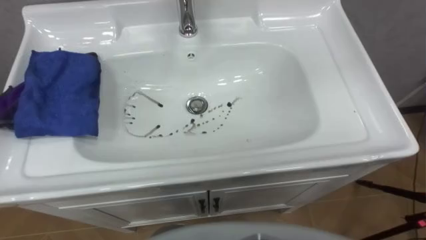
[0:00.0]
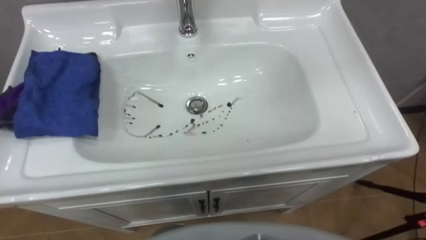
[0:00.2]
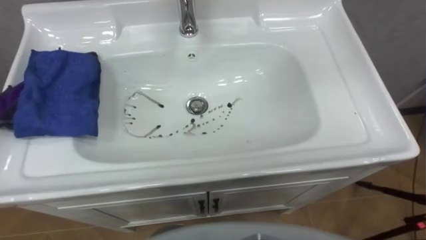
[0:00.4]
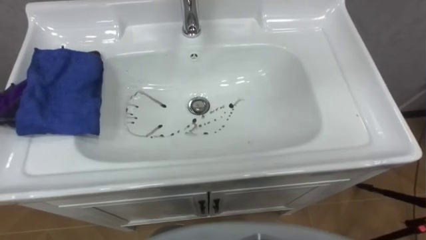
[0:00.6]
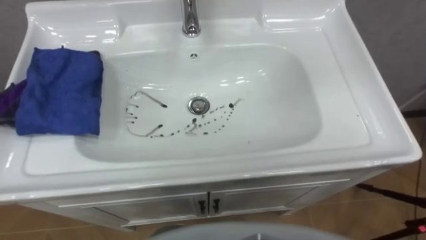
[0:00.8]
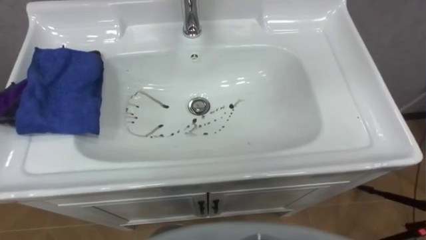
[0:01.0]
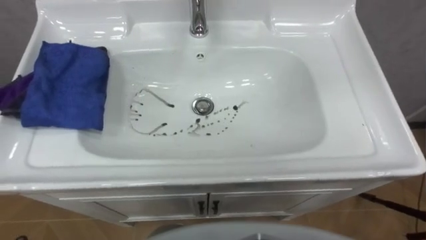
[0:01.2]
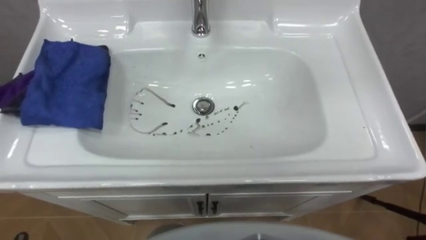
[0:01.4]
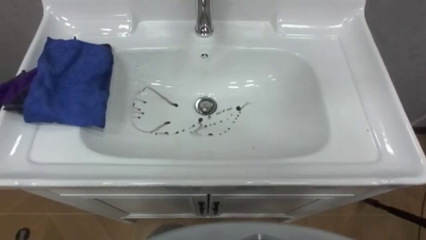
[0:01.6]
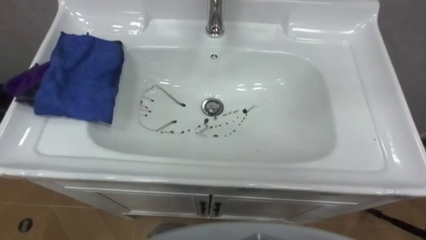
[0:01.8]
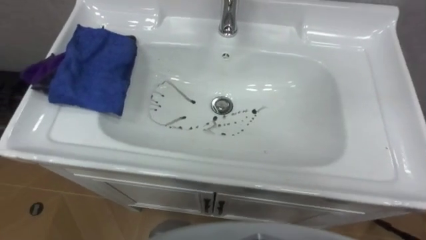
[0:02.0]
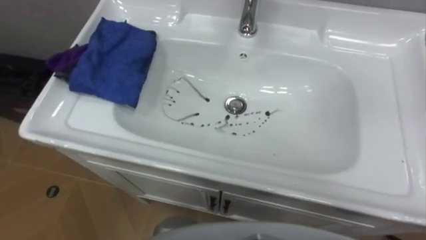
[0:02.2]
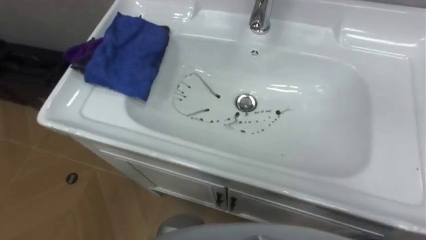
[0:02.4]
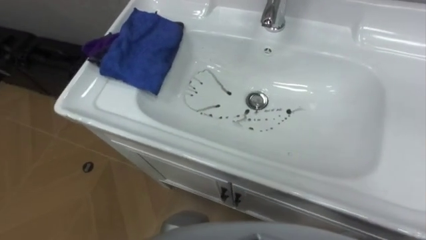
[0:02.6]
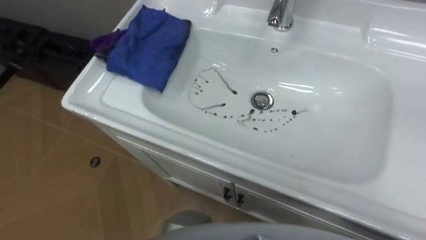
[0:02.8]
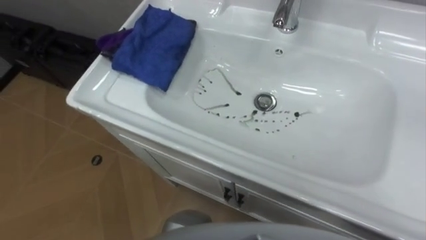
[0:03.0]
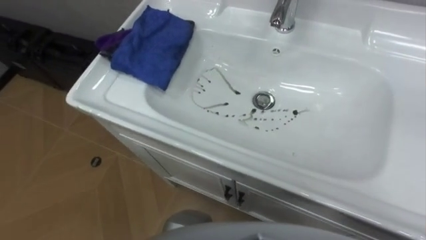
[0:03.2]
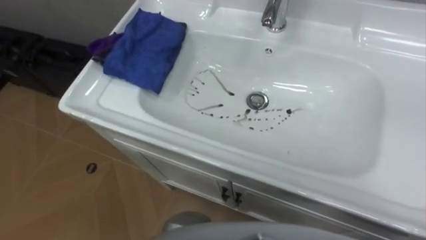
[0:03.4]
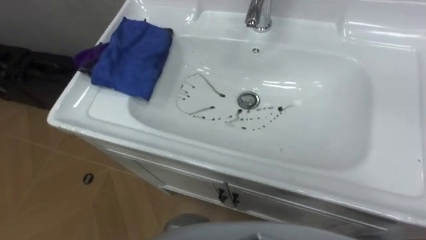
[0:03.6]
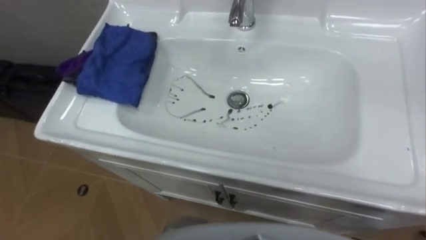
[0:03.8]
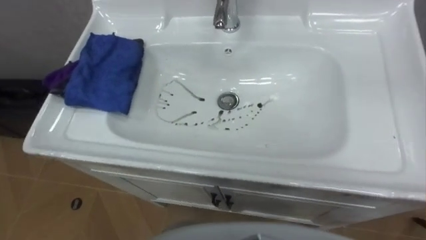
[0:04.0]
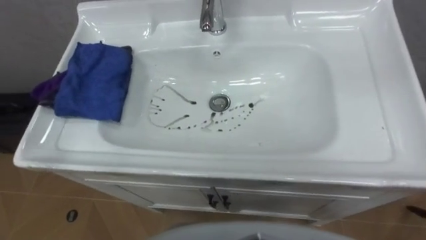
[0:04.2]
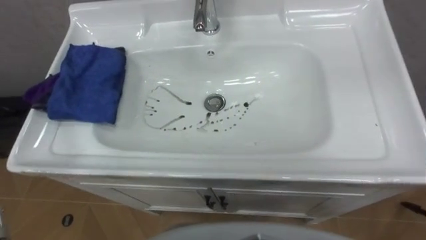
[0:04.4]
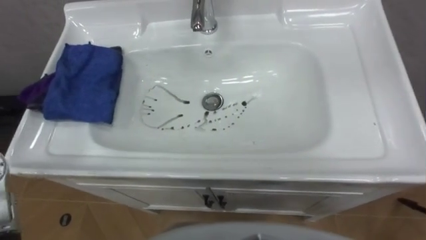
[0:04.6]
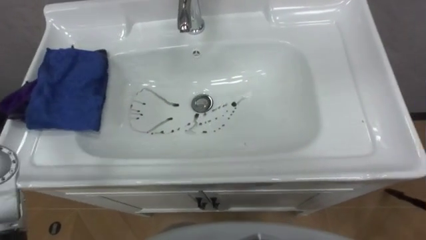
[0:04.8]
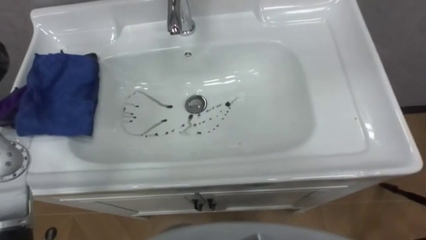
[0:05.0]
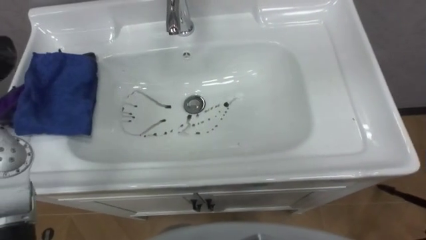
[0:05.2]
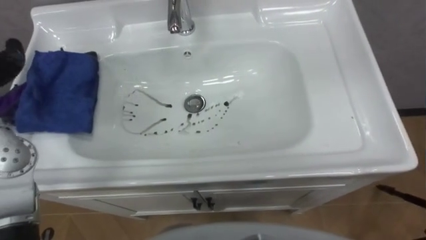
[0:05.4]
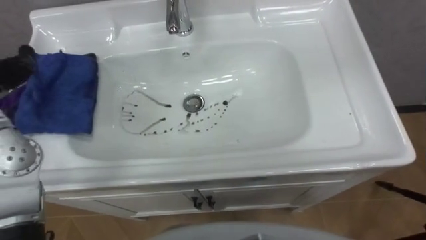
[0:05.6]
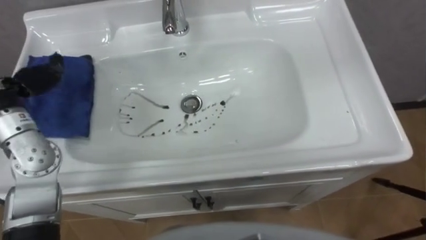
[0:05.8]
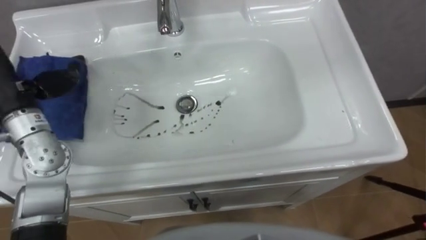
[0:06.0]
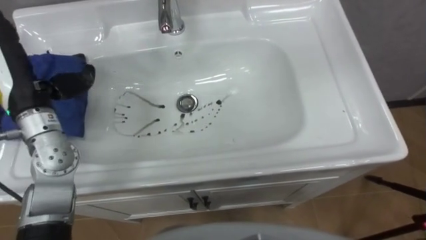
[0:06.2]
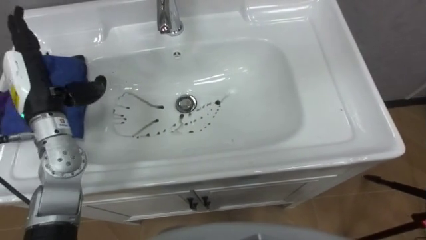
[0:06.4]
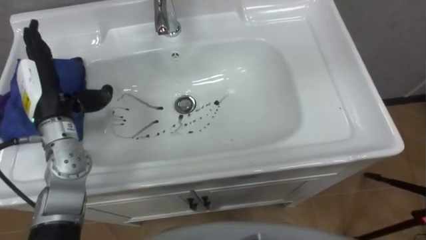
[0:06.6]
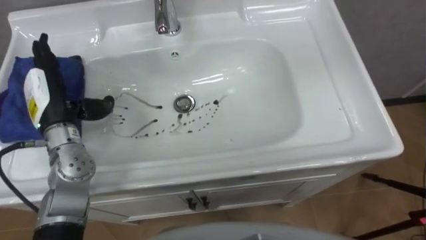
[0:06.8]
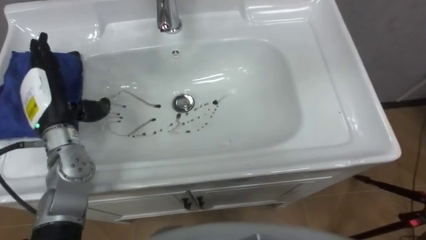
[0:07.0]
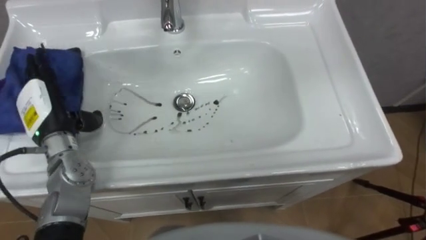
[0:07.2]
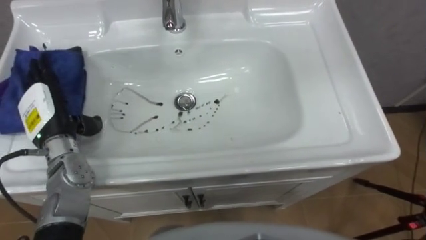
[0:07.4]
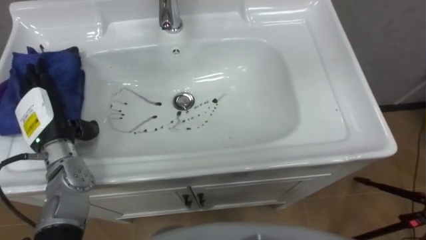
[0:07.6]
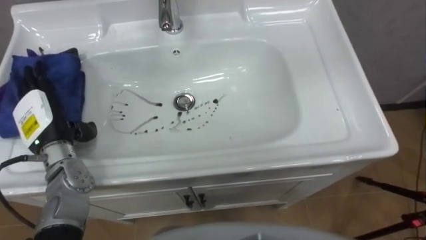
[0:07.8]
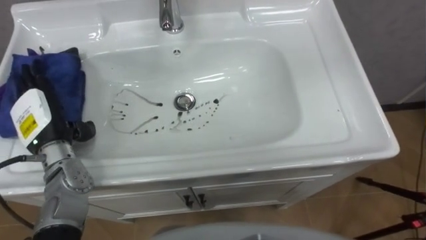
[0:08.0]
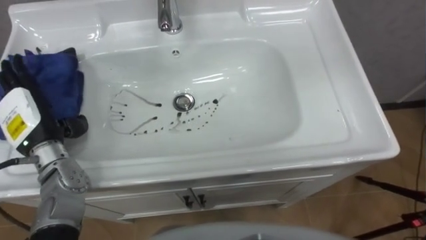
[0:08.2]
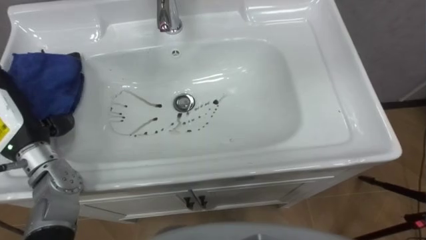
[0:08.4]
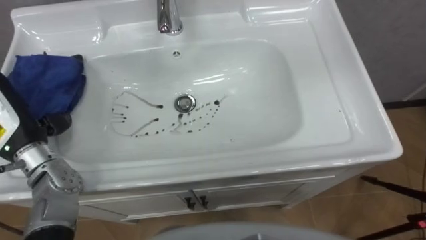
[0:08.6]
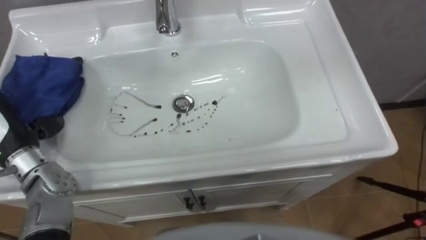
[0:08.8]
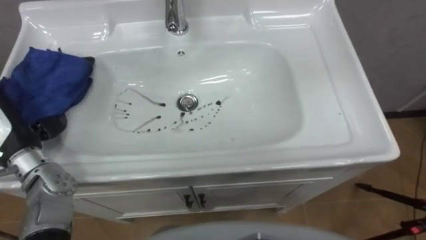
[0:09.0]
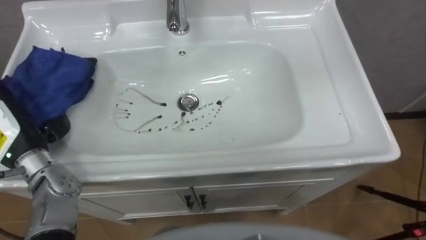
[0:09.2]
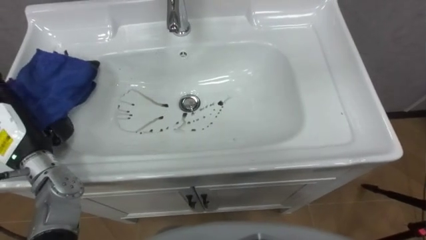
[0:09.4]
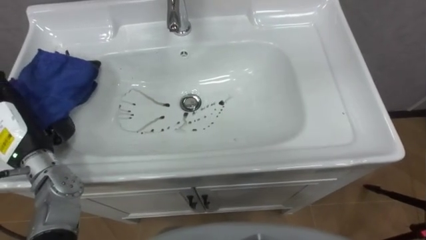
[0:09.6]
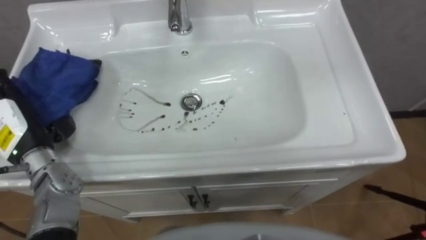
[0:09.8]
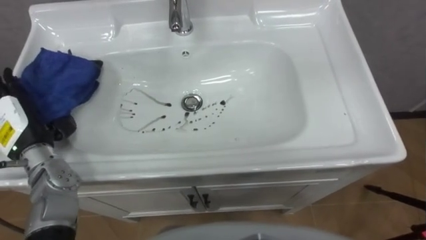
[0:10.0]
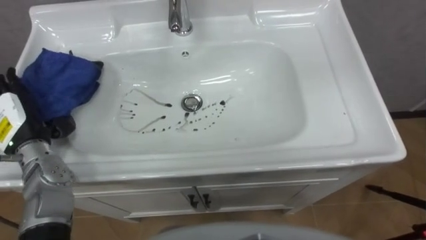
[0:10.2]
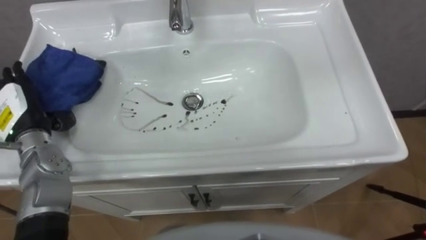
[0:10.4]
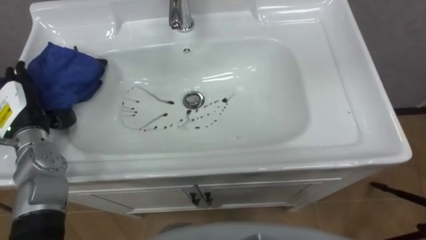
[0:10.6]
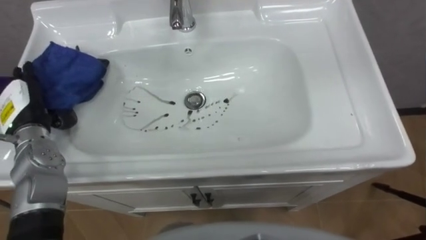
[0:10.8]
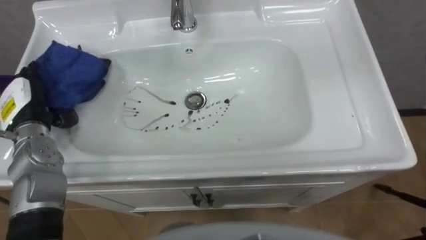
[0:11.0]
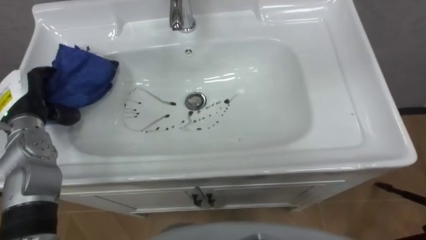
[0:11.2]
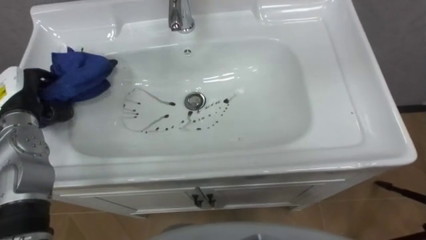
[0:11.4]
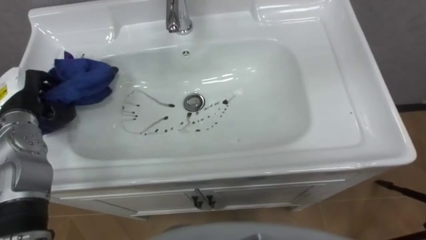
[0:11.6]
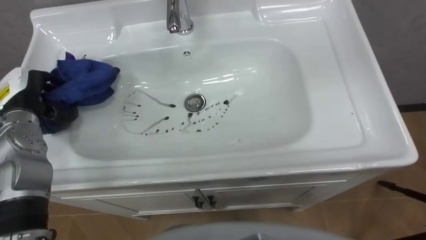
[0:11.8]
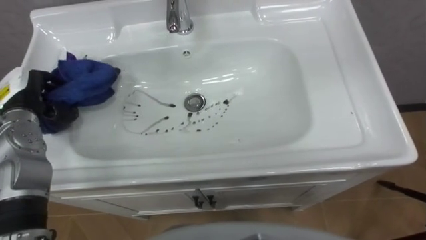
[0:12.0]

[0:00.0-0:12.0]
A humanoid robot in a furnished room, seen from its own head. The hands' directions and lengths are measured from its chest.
Task of the whole recording: Use the cloth on the right to wipe away the black stain in the sink.
0:10.4 to 0:12.0: The left hand closes up.

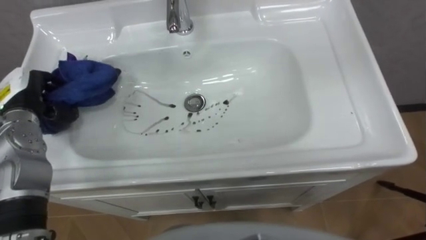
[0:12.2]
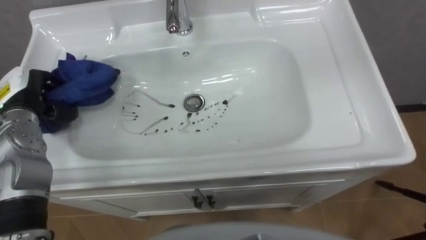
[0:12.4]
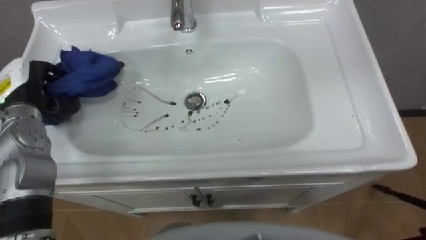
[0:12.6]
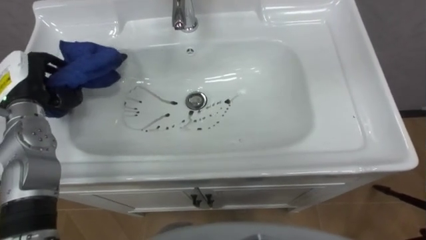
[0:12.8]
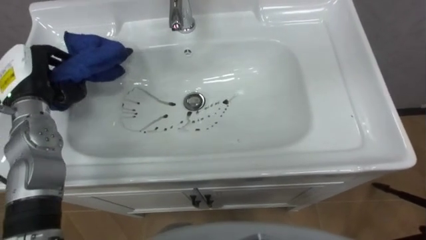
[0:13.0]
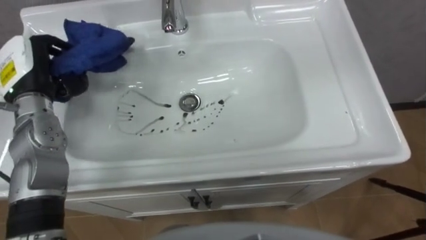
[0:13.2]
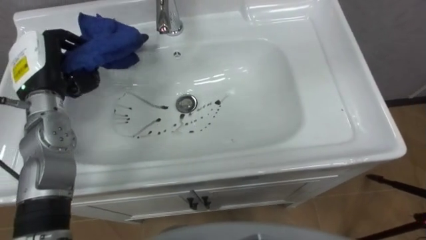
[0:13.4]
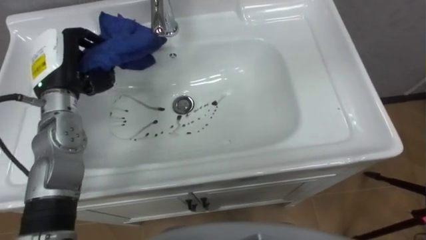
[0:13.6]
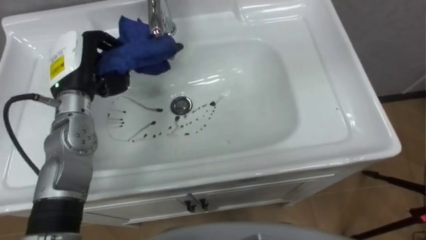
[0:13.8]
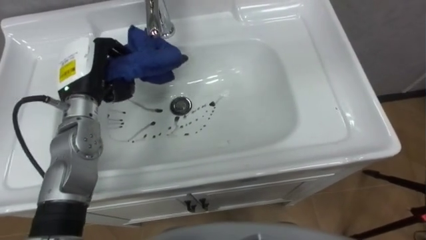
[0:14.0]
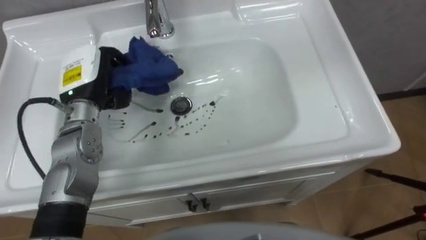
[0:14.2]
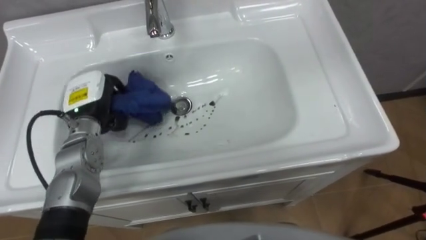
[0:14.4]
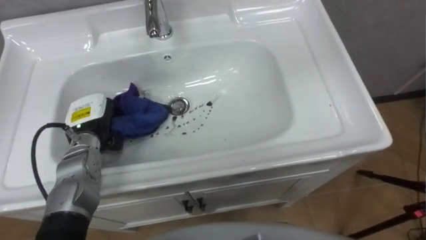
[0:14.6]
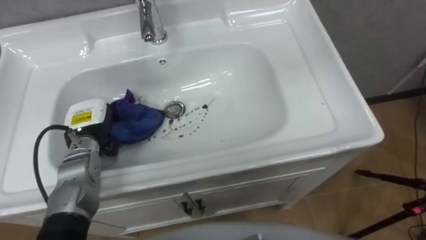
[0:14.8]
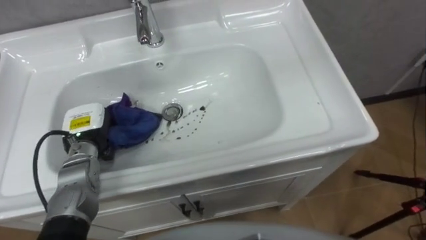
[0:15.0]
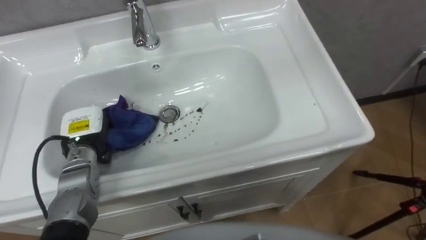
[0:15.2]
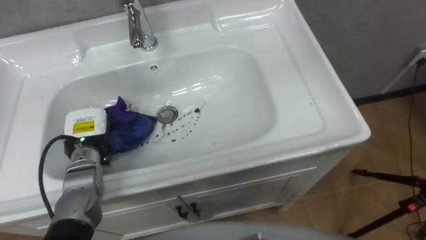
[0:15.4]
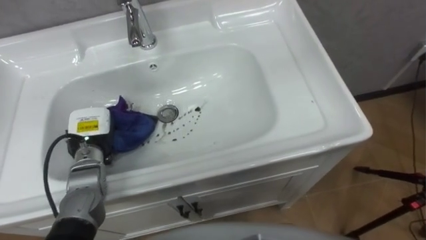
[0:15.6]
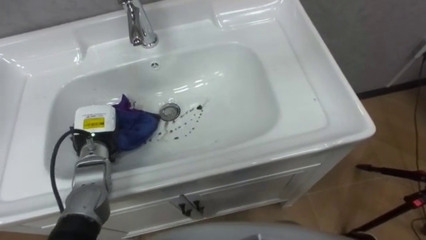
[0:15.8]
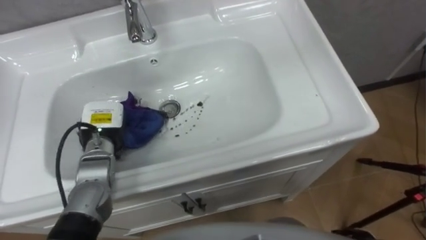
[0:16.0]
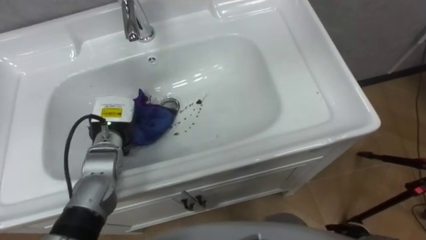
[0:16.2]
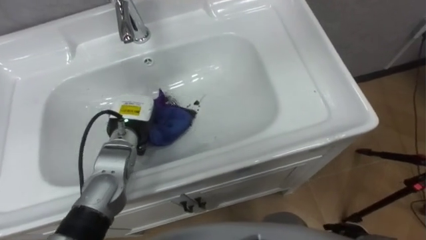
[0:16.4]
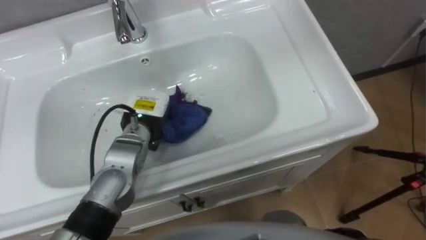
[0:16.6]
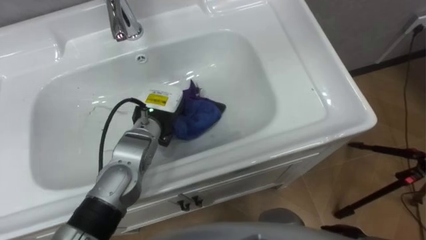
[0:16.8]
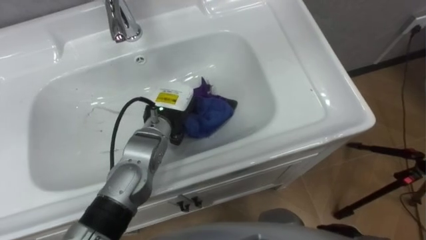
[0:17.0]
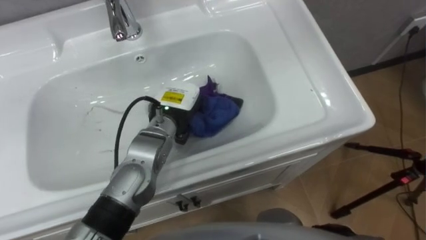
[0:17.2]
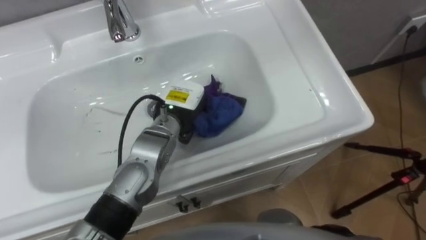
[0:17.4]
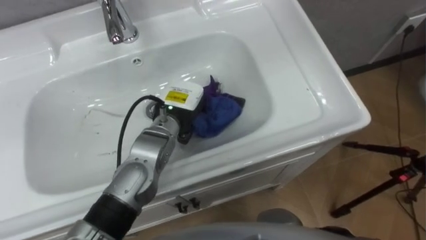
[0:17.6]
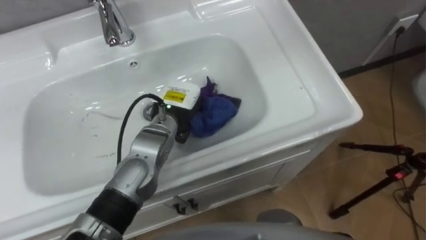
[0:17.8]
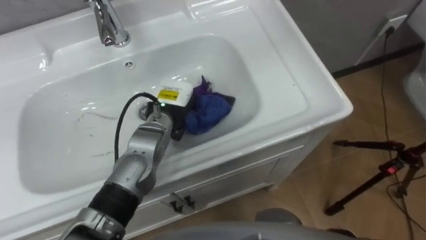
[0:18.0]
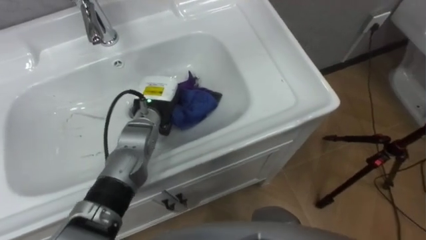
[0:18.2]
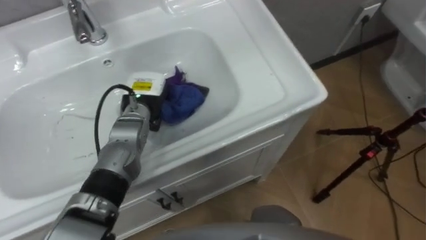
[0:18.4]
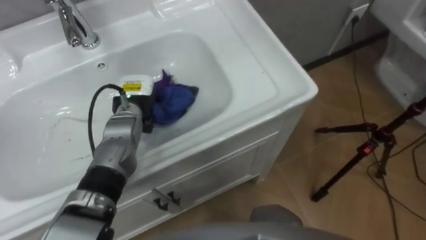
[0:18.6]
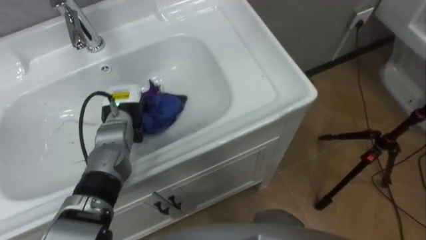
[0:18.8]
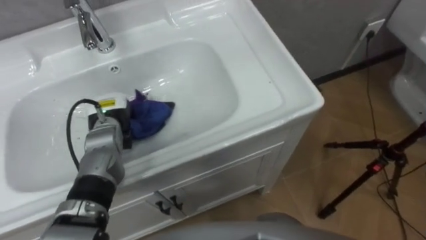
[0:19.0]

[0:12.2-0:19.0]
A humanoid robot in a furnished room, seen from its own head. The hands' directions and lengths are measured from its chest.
Task of the whole recording: Use the cloth on the right to wipe away the black stain in the sink.
0:12.2 to 0:13.6: The left hand heads to the right, covering approximately 10 cm.
0:13.6 to 0:15.0: The left hand goes approximately 15 cm downward and backward.
0:15.0 to 0:16.2: The left hand goes roughly 5 cm to the right.
0:16.2 to 0:17.6: The left hand moves to the right, approximately 15 cm.
0:17.6 to 0:19.0: The left hand shifts about 15 cm to the left.
